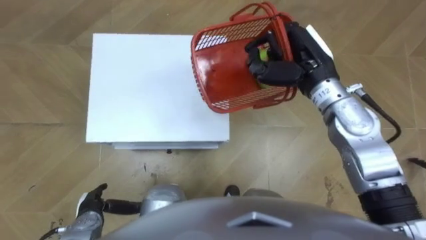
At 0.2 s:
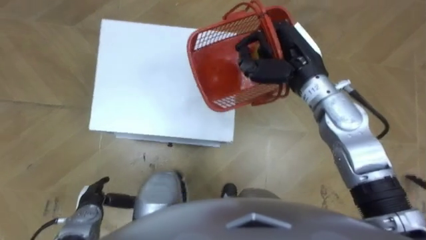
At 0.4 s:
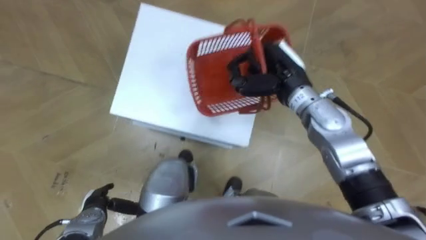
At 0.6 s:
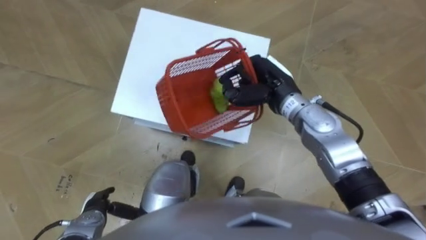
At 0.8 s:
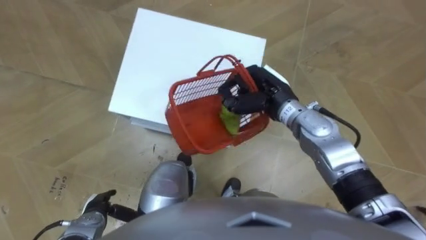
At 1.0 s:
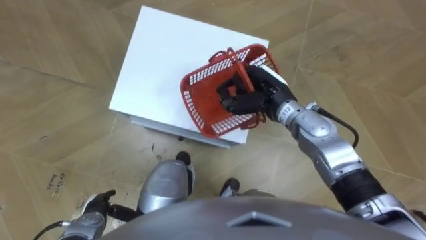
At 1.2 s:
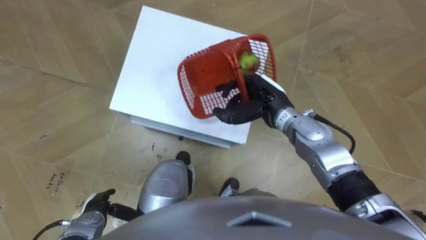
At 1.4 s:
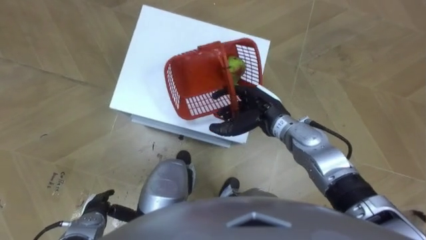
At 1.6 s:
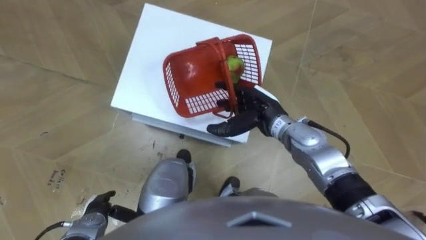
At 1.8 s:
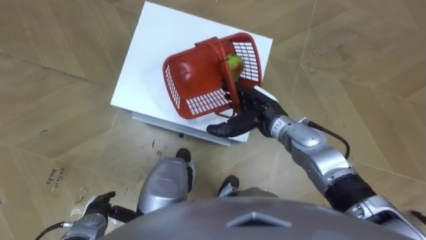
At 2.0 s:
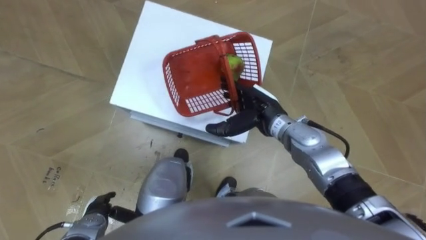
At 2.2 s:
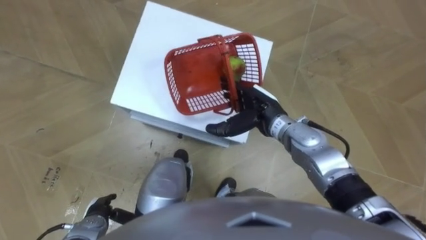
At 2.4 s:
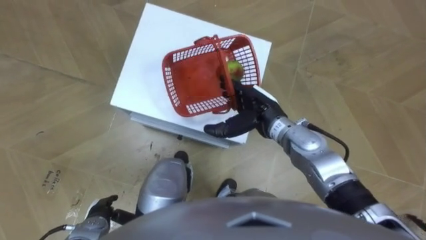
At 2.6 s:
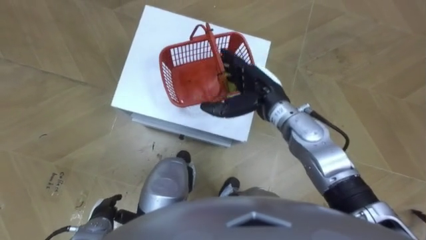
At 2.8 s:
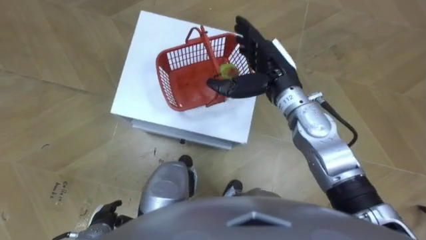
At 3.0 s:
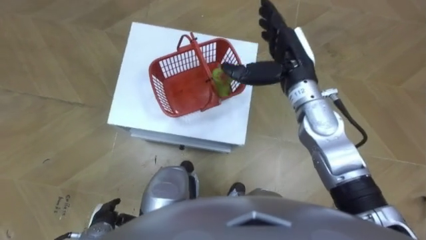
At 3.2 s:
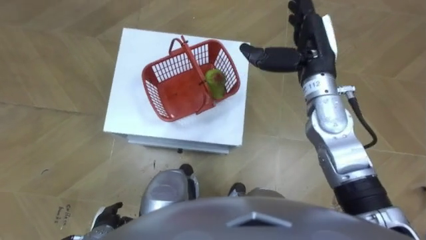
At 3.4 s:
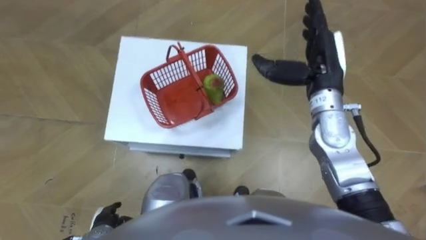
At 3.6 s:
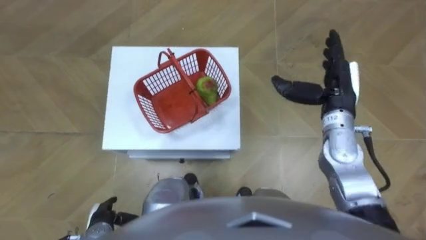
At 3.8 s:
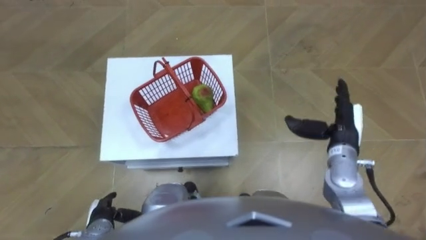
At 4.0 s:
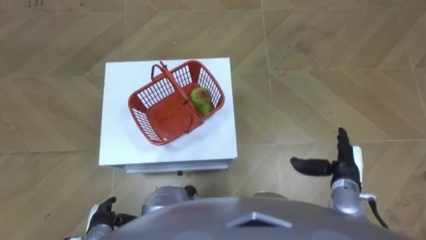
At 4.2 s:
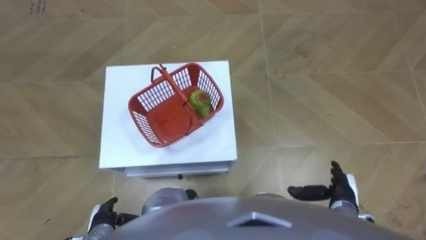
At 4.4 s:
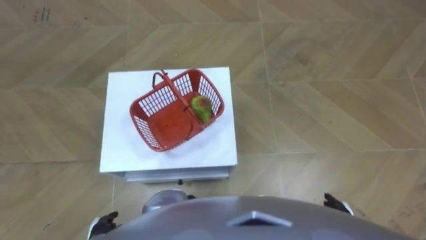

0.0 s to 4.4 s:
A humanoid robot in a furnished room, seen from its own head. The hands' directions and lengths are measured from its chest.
Task of the whole recording: Pick up the fruit basket from the floor and place it on the cabinet.
0.0 to 1.4 s: The right hand moves downward and to the left, roughly 15 cm, and opens up.
1.4 to 3.0 s: The right hand is displaced upward by roughly 10 cm.
3.0 to 4.4 s: The right hand moves backward, downward and to the right, roughly 40 cm.

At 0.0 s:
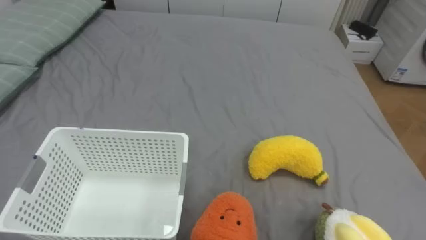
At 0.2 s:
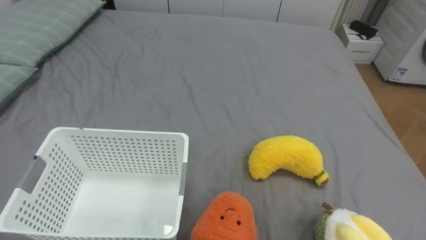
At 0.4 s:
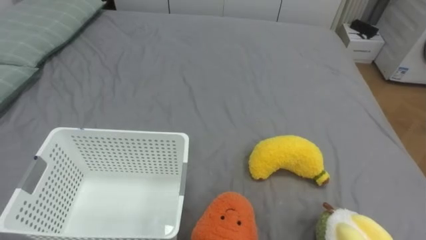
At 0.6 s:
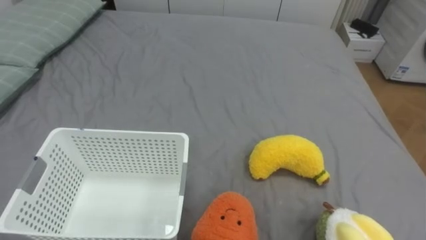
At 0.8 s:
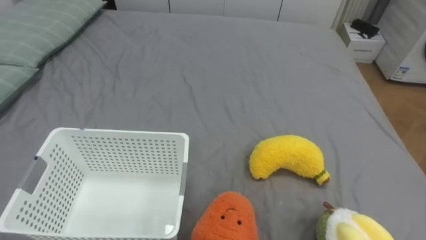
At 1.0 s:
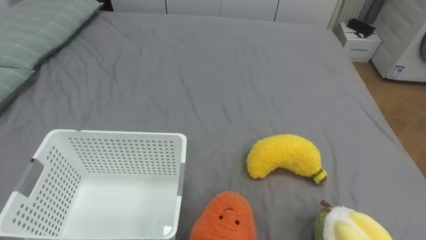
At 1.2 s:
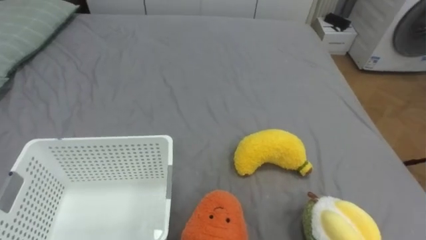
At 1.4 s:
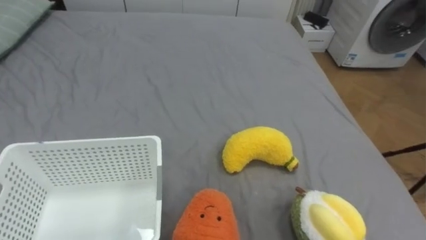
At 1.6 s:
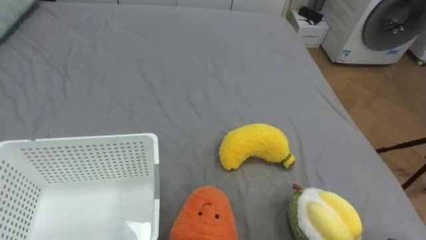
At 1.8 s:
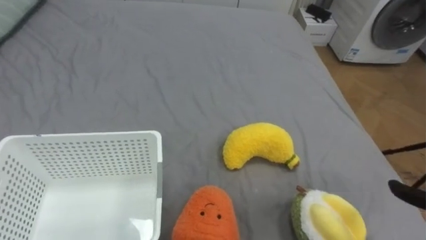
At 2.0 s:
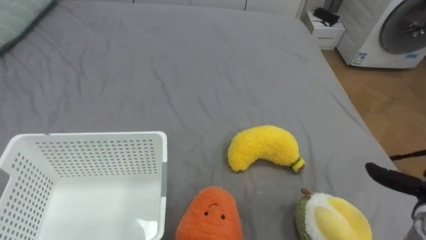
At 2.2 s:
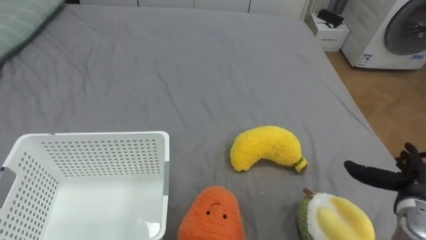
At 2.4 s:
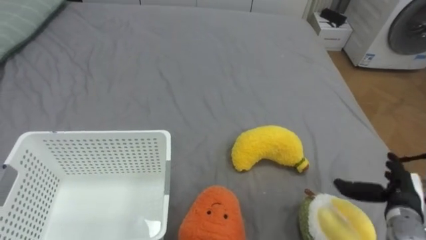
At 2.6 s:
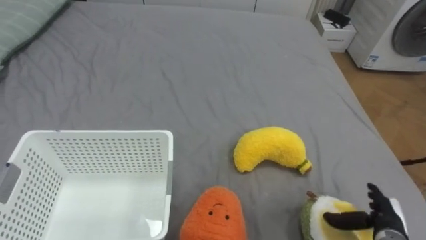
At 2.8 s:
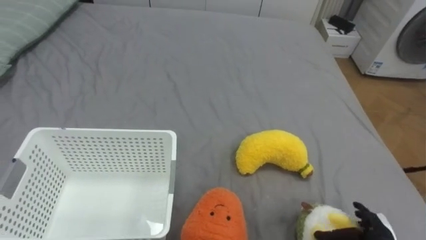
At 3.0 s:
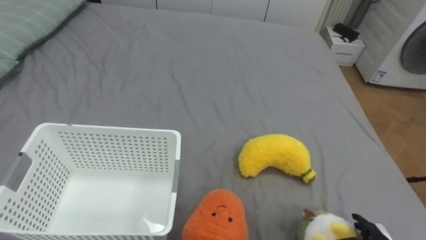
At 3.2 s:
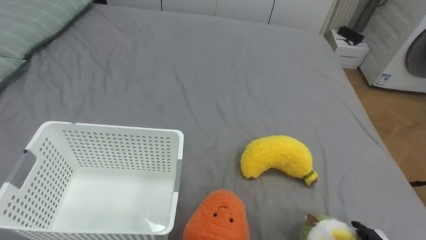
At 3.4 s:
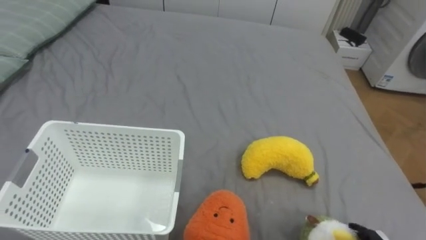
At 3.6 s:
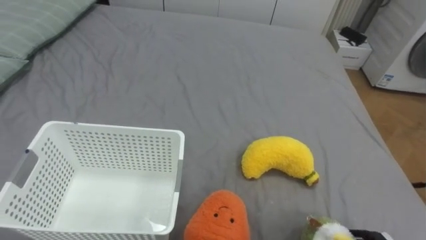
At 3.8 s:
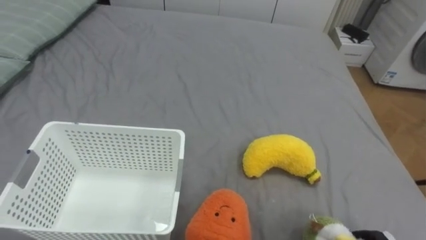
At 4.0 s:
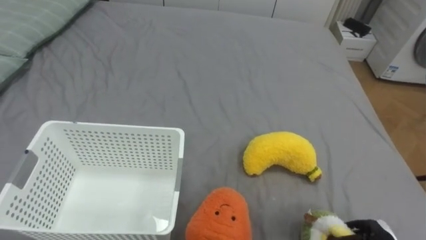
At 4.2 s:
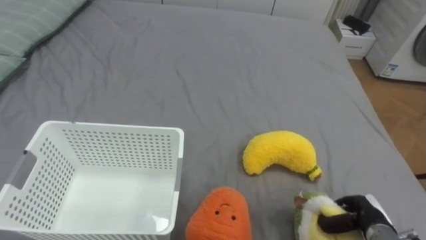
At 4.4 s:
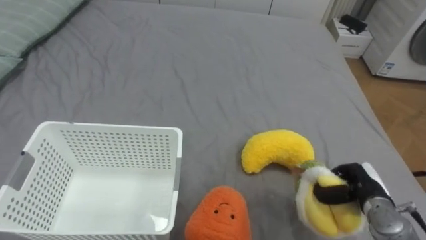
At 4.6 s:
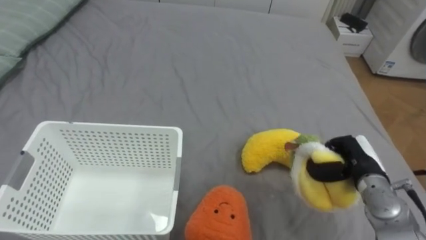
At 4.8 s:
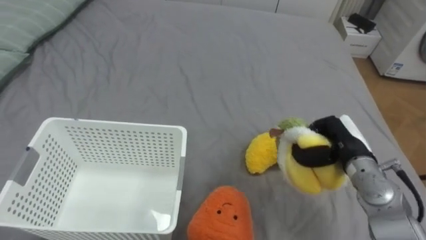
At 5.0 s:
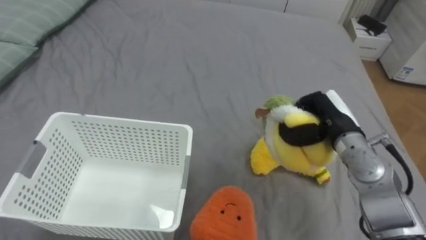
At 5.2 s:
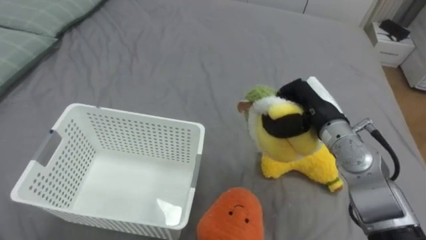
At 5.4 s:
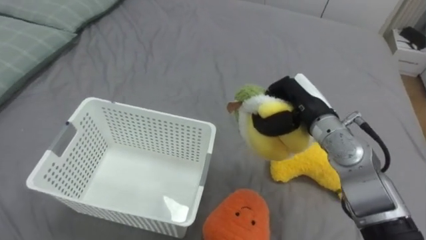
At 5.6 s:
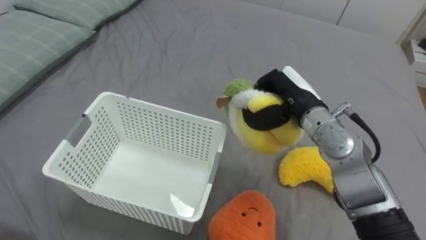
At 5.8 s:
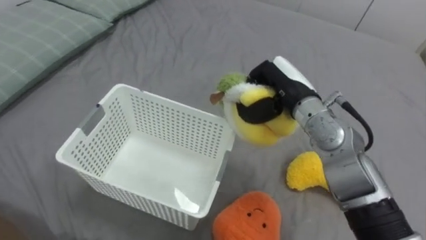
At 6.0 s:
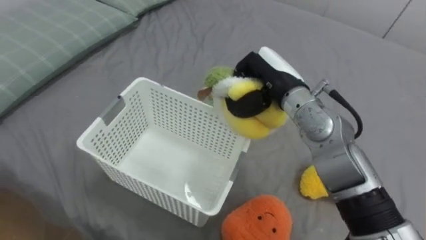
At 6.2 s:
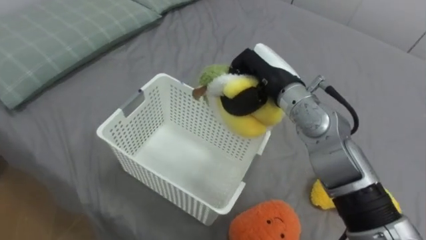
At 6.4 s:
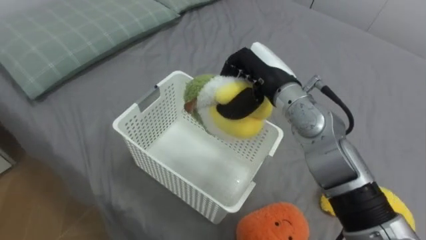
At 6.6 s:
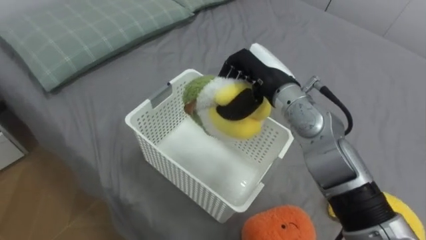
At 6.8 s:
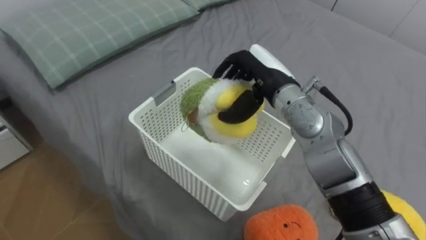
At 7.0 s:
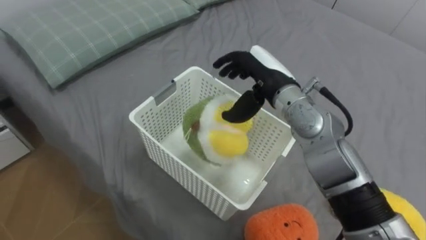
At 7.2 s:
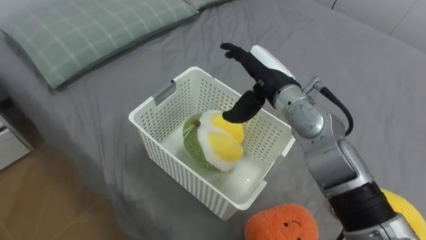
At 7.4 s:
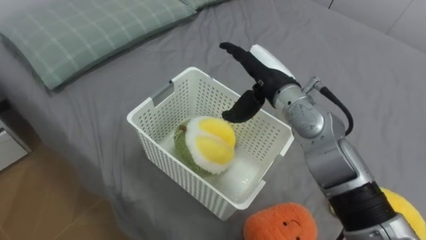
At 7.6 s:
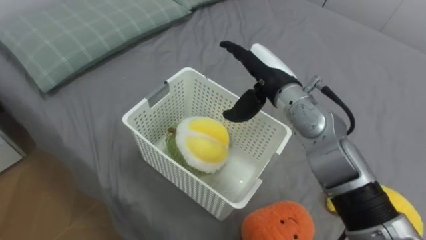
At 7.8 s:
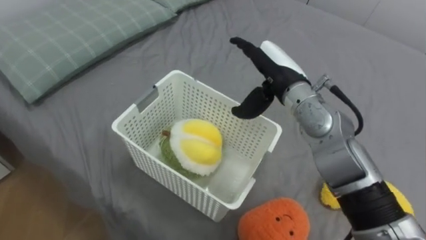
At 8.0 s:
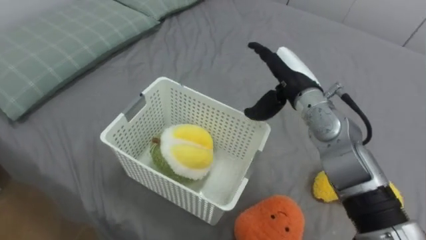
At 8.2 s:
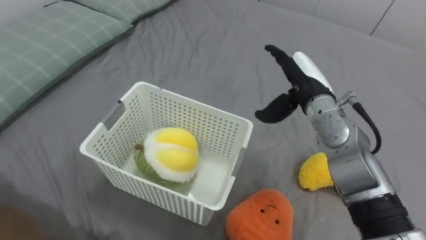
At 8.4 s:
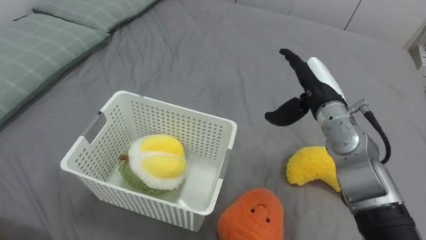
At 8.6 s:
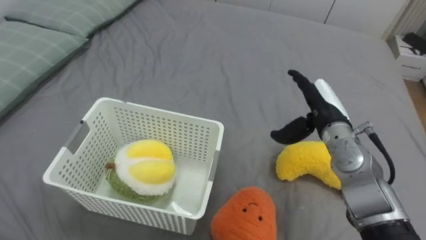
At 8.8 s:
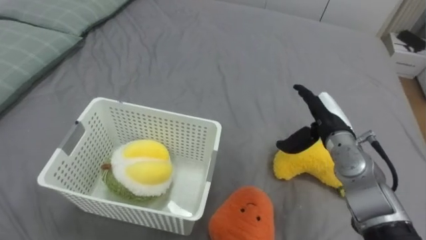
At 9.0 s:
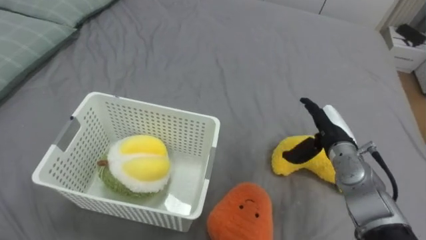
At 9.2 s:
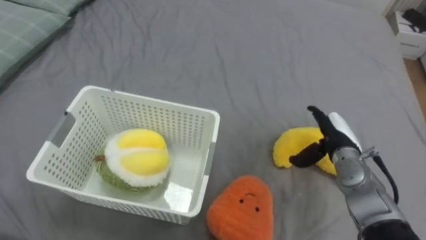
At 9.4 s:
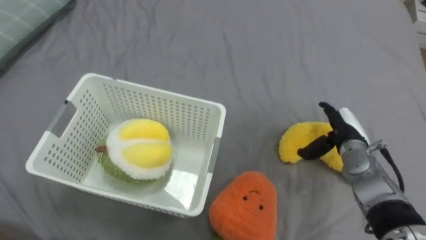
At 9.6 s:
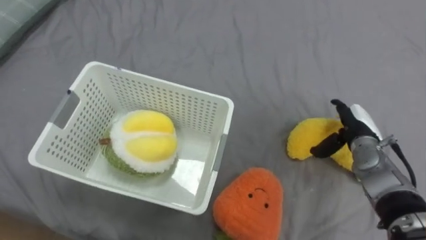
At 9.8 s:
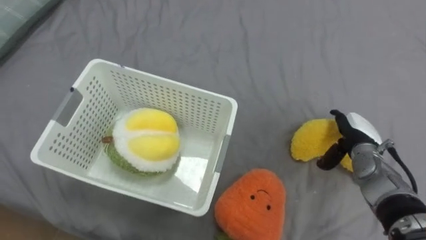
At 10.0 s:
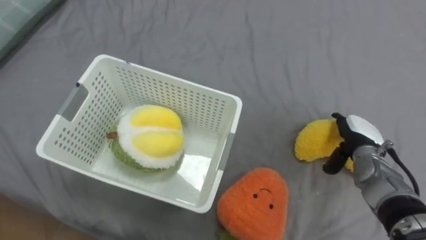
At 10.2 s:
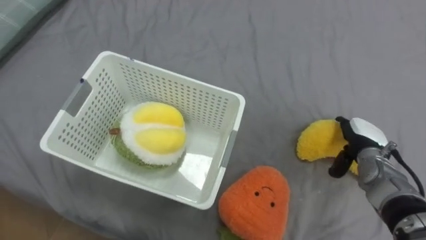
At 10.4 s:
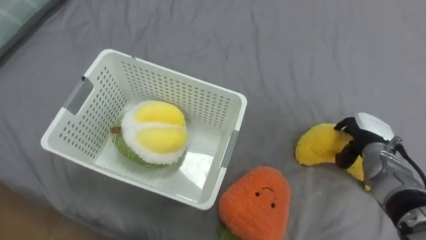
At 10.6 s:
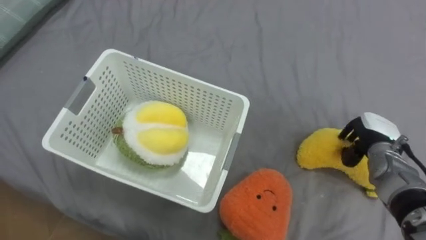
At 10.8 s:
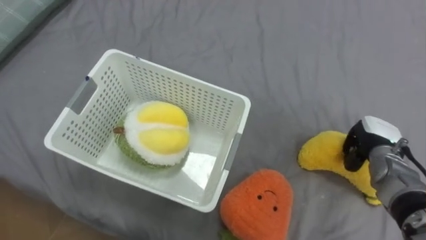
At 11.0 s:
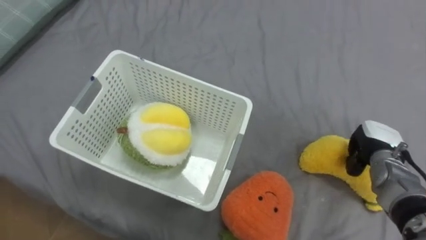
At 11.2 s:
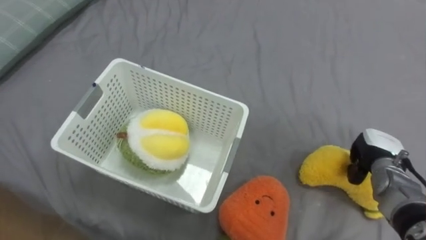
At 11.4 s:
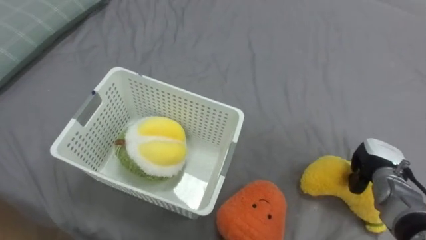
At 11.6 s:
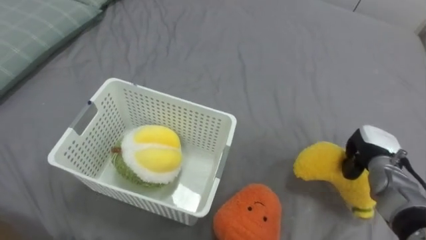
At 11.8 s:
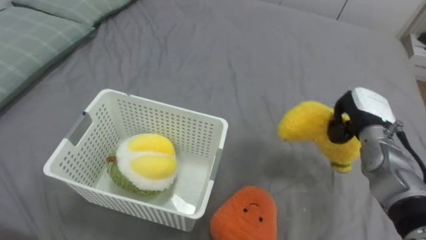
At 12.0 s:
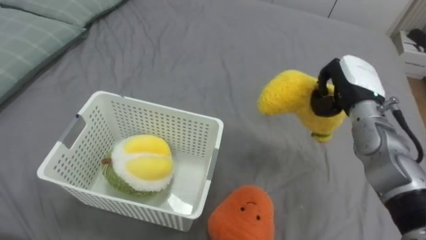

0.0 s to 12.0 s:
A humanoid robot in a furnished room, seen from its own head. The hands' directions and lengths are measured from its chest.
Task of the whole recording: Put the toys on the bed into the basket on the left.
4.4 to 6.0 s: The right hand heads to the left, upward and forward, covering approximately 30 cm.
6.0 to 7.6 s: The right hand opens its fingers.
7.6 to 9.0 s: The right hand travels to the right and downward by approximately 20 cm.
9.0 to 10.4 s: The right hand heads to the right, covering approximately 10 cm.
10.4 to 12.0 s: The right hand goes roughly 15 cm upward and to the left, and closes.
